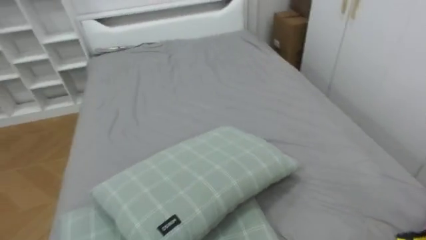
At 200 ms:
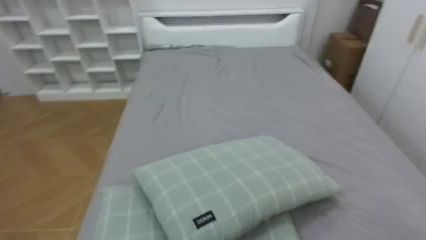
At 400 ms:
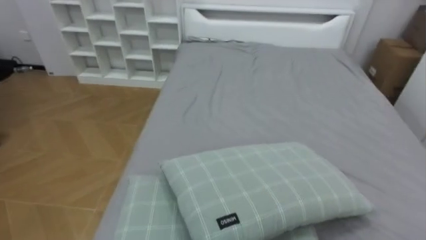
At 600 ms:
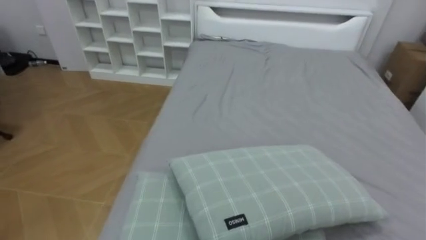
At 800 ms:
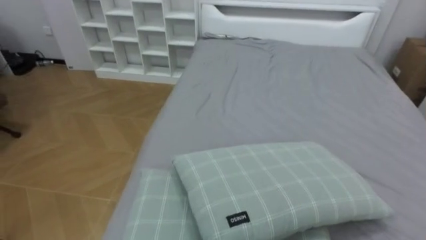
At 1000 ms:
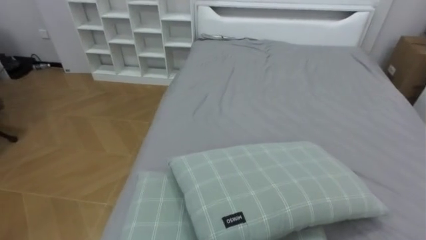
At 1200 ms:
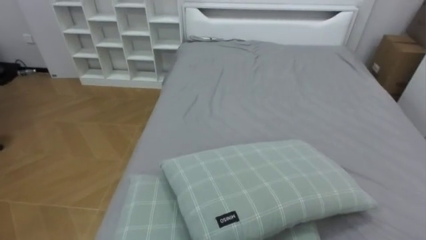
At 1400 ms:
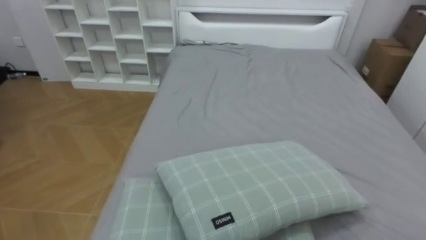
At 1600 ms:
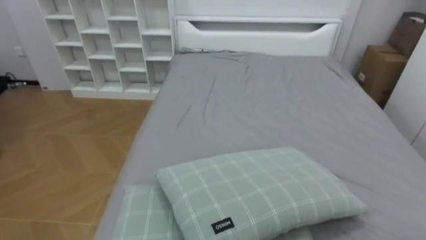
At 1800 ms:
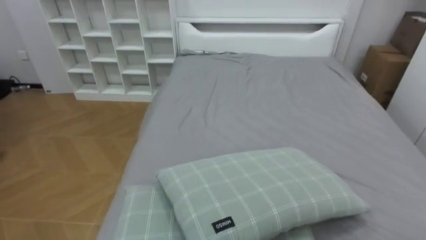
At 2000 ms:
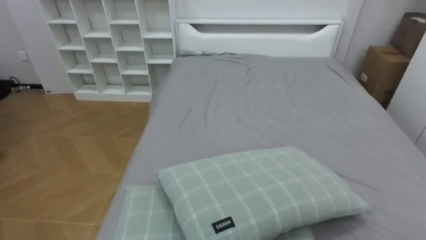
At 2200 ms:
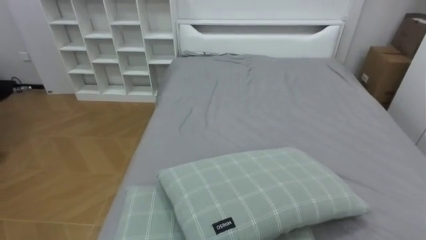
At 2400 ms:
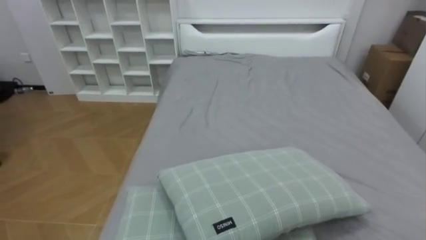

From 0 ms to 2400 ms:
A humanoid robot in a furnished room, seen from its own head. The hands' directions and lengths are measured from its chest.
Task of the whole recording: Pick up the yellow shirt on the bed and hang it on the clothes rack on the right.
From 0 ms to 1200 ms: The robot faces roughly 20 degrees further to its left.

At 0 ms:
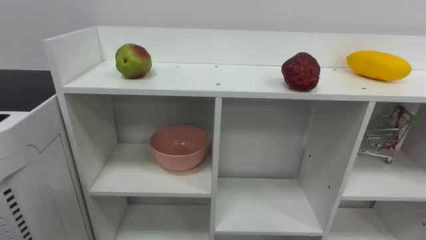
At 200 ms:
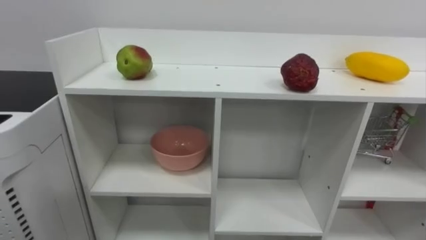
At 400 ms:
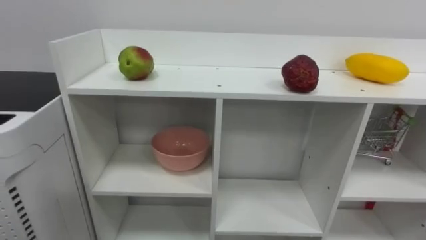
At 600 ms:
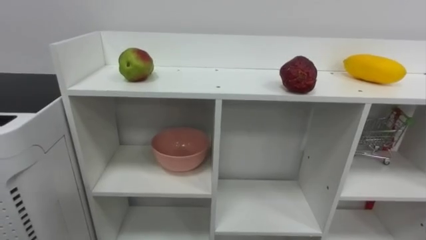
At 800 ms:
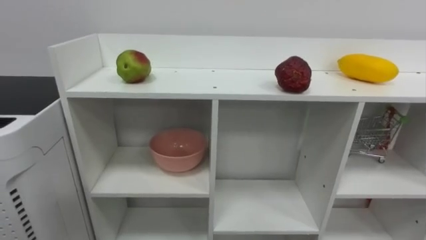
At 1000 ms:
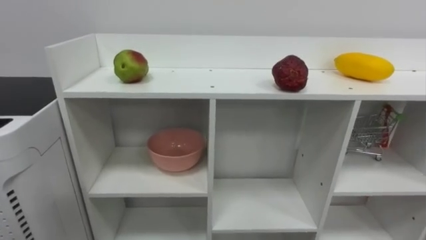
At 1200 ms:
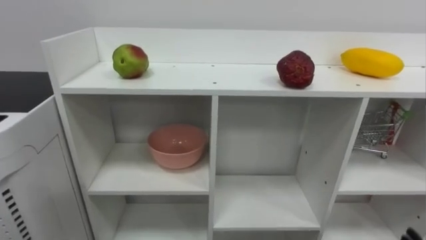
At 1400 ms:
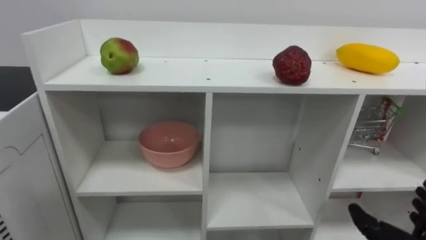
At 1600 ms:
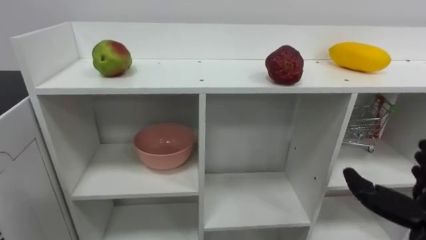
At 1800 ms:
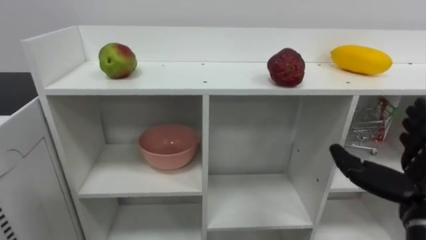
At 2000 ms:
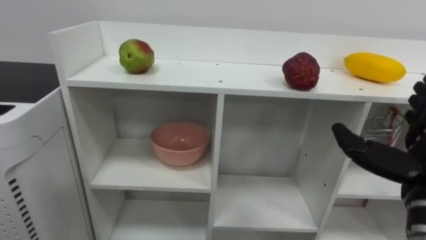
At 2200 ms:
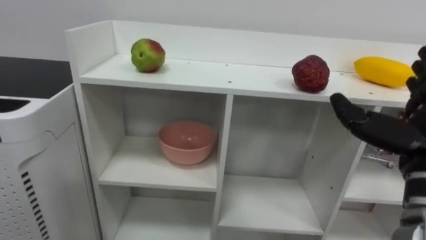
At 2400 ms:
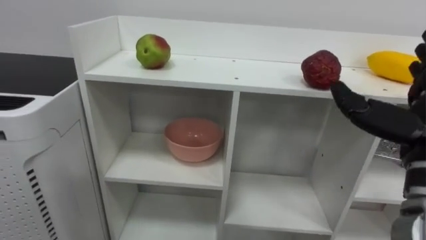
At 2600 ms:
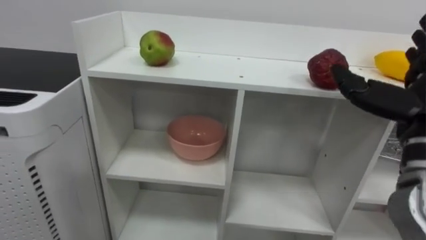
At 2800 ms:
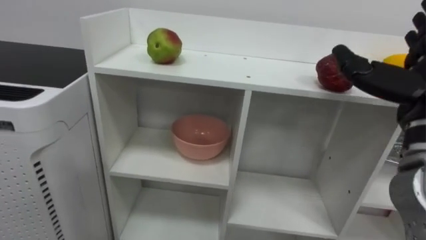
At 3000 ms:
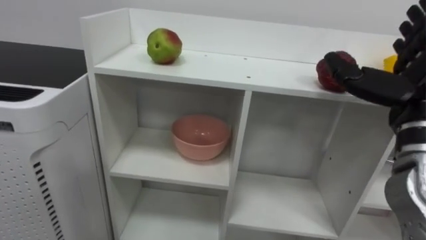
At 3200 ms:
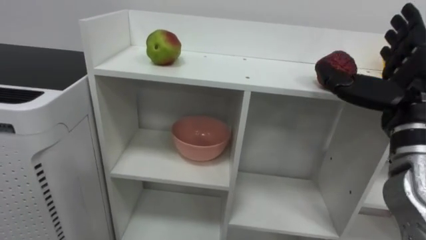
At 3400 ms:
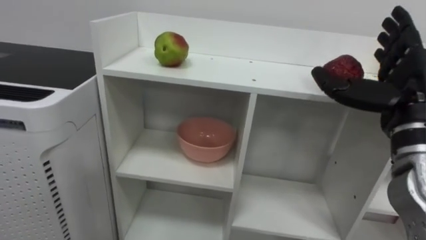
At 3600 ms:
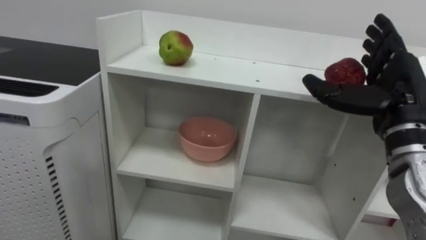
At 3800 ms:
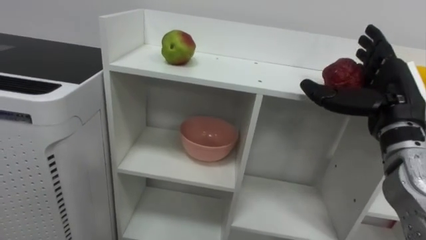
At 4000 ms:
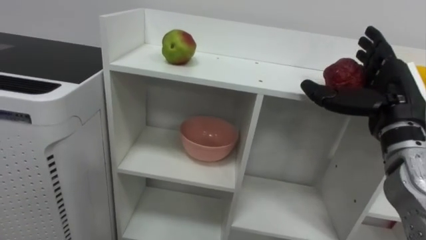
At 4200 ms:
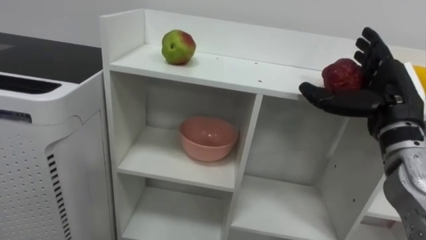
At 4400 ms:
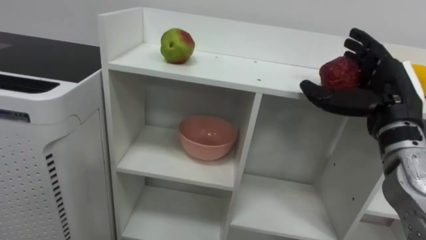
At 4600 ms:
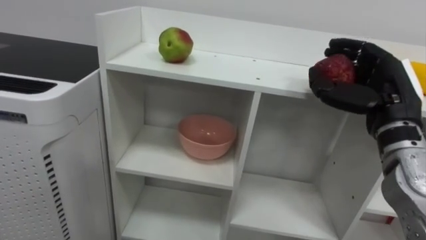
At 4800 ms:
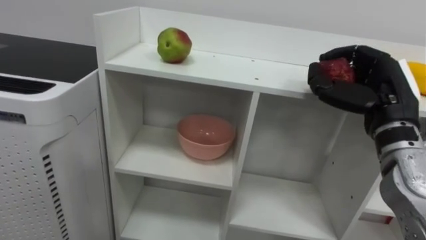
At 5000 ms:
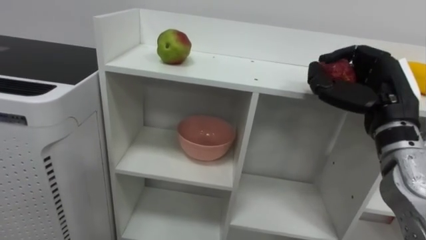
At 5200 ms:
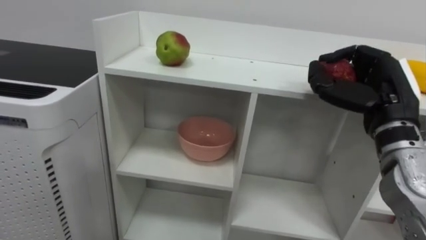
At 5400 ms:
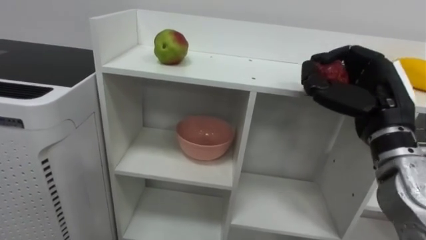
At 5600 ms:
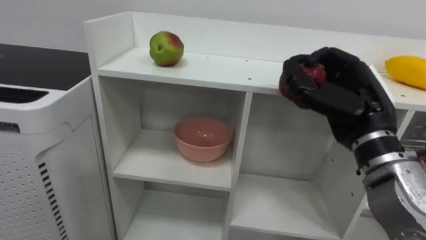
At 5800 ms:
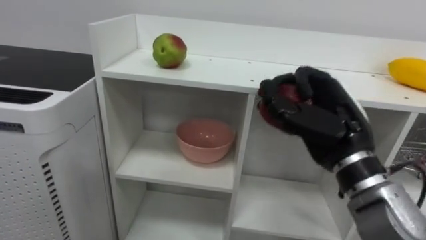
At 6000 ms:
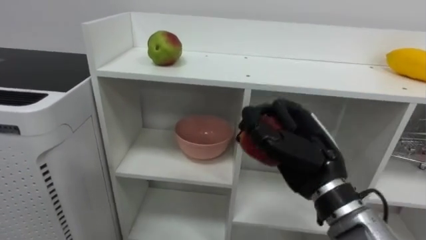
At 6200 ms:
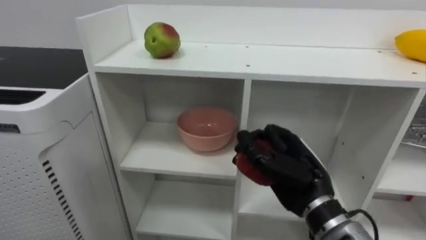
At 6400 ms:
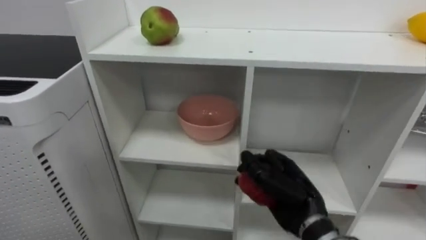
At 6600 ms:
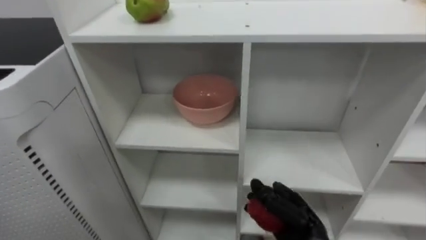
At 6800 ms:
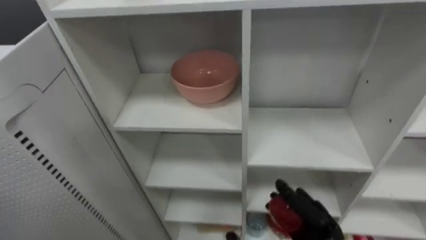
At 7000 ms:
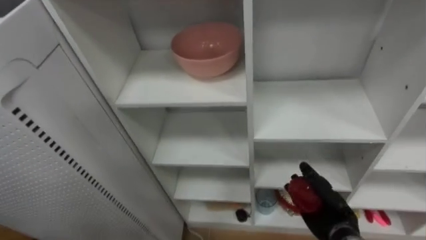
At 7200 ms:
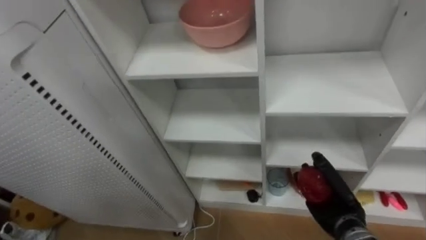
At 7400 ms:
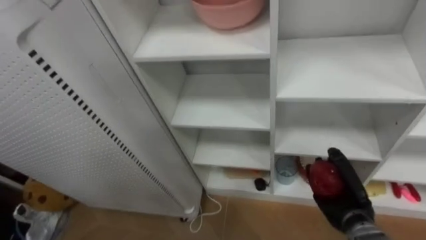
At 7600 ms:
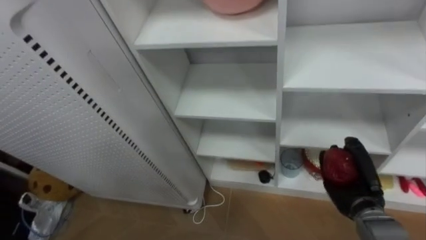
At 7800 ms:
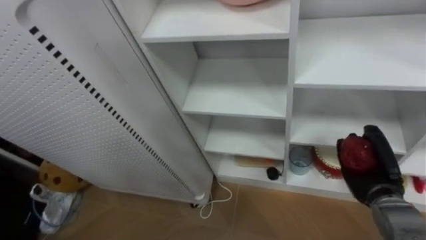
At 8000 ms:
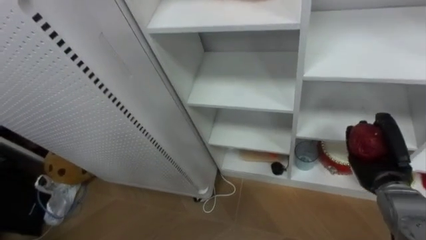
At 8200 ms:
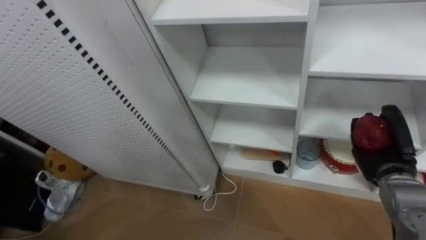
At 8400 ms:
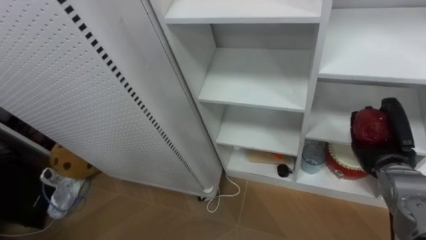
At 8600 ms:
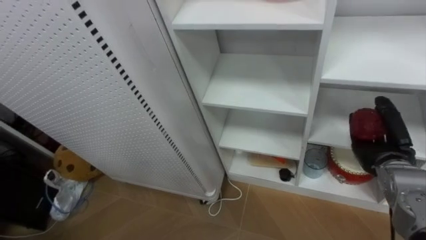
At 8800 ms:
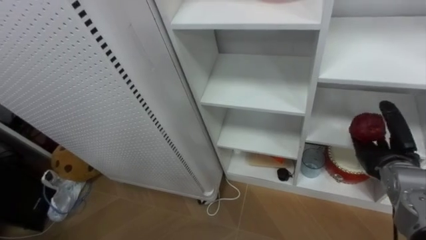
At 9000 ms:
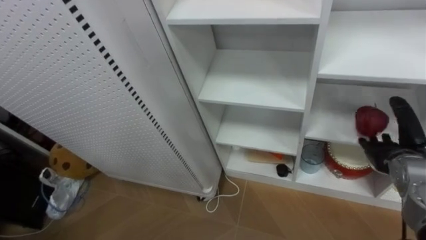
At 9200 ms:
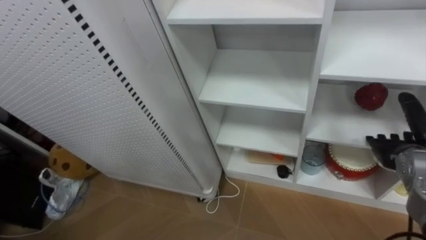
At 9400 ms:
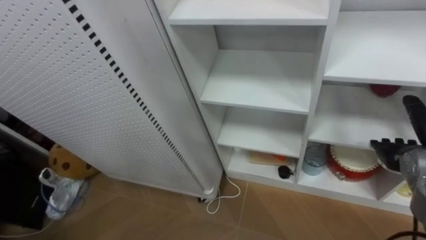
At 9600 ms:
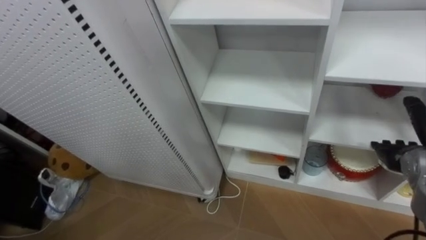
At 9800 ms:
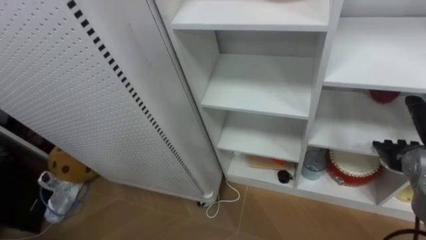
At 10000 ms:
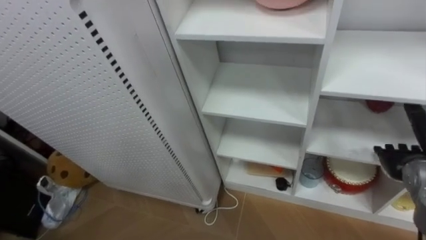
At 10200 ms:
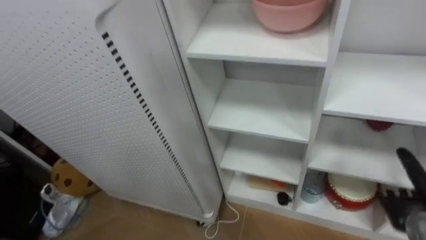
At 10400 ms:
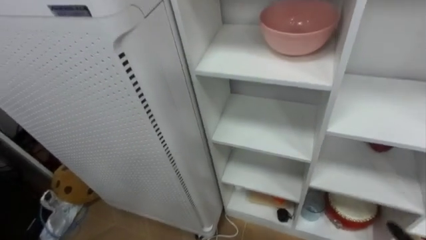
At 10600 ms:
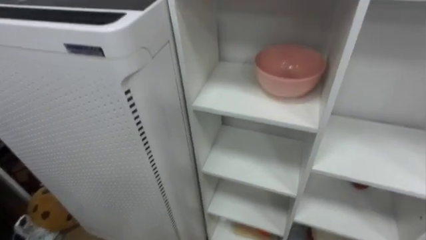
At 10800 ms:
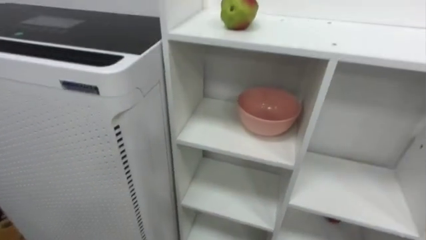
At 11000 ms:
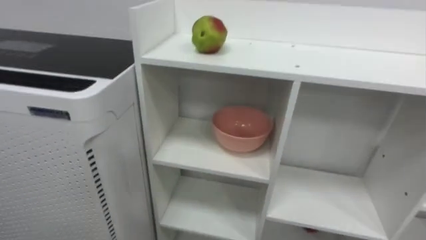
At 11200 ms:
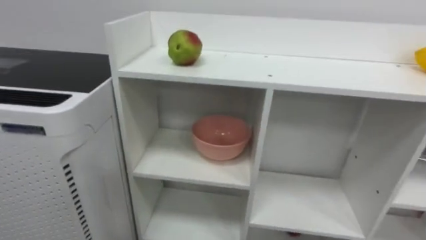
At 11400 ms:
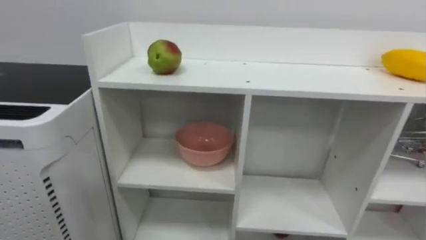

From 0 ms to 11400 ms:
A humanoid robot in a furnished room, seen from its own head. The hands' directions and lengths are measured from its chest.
Task of the whole recording: Put the apple in the cell in the second column from the left and the second row from the top.
From 2800 ms to 4200 ms: The right hand shifts by about 5 cm.
From 4200 ms to 5600 ms: The right hand heads to the left, covering approximately 5 cm, and closes.
From 5600 ms to 7200 ms: The right hand heads downward, covering roughly 25 cm.
From 7200 ms to 8600 ms: The right hand heads upward and to the right, covering roughly 15 cm.
From 8600 ms to 10000 ms: The right hand opens its fingers.
